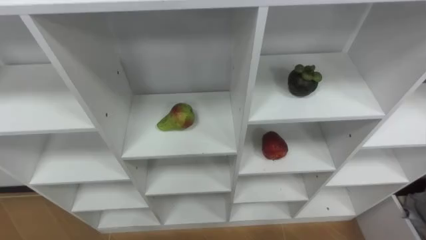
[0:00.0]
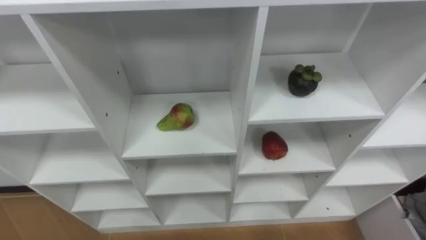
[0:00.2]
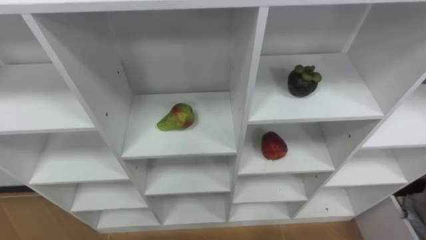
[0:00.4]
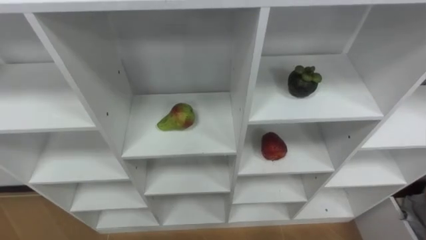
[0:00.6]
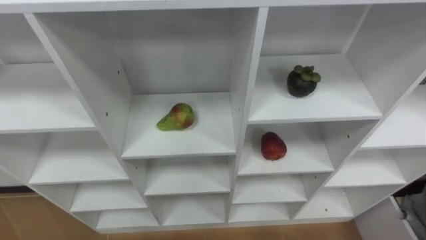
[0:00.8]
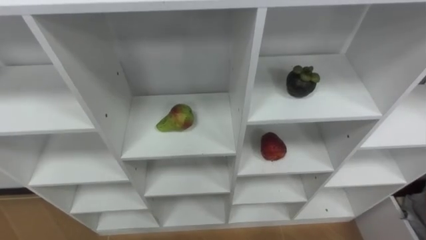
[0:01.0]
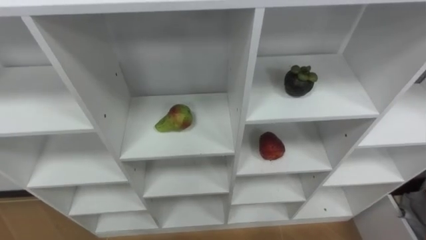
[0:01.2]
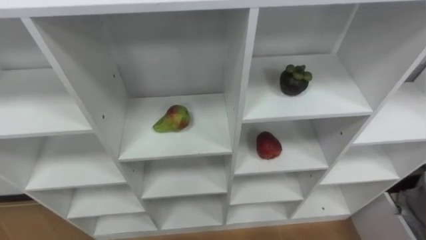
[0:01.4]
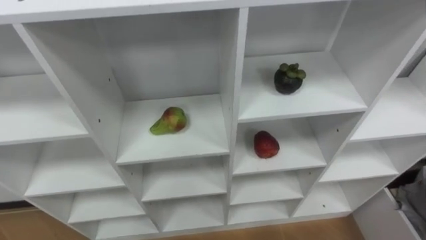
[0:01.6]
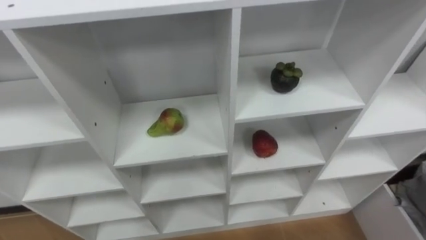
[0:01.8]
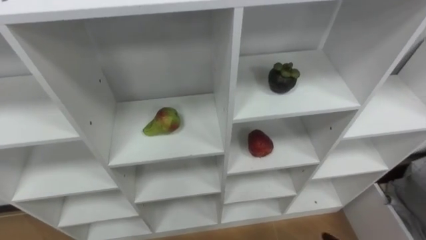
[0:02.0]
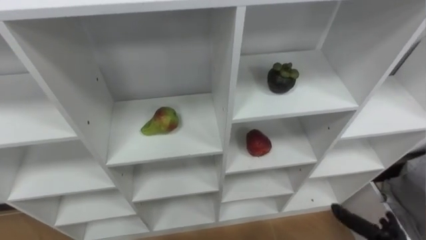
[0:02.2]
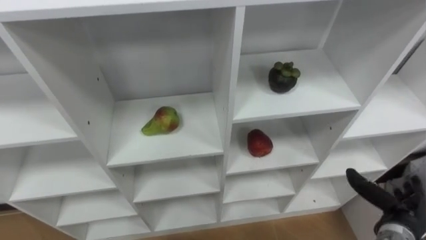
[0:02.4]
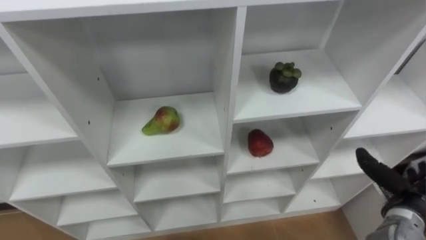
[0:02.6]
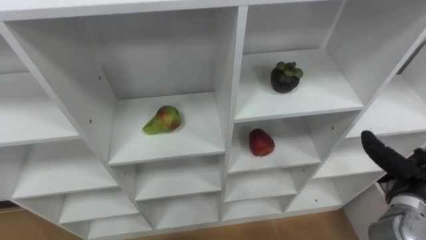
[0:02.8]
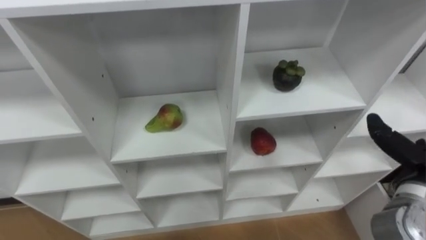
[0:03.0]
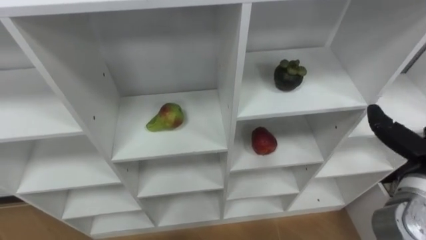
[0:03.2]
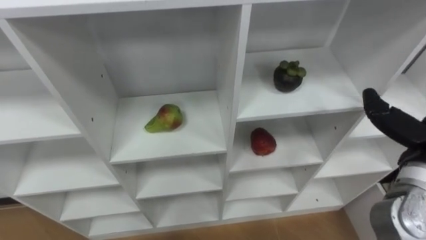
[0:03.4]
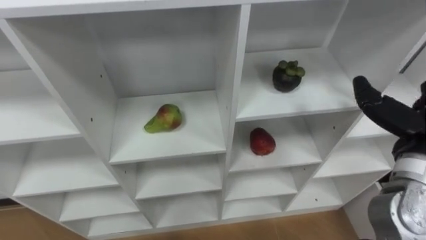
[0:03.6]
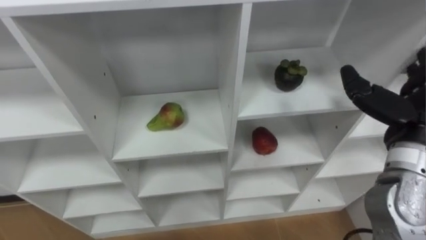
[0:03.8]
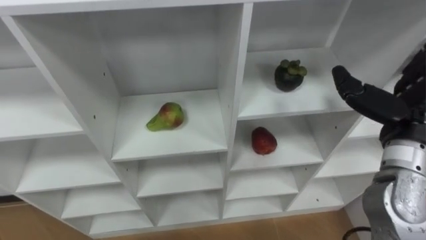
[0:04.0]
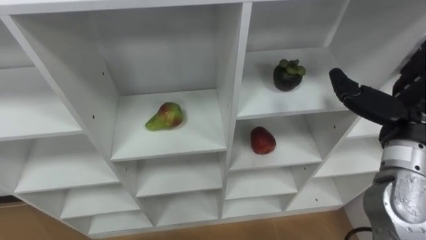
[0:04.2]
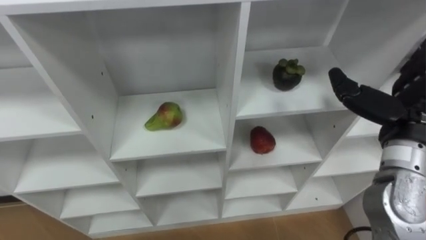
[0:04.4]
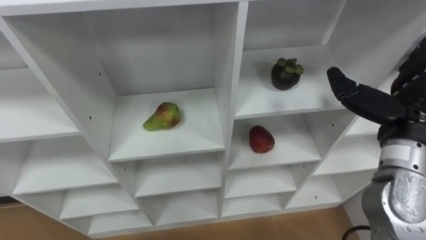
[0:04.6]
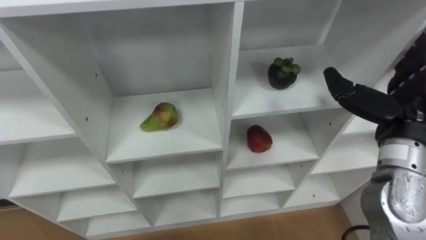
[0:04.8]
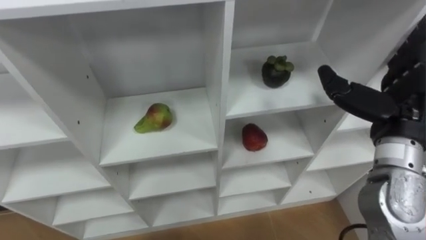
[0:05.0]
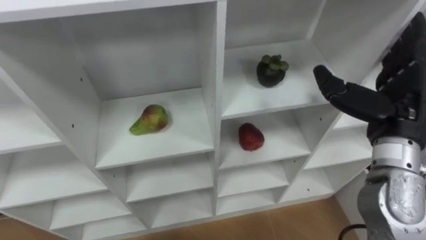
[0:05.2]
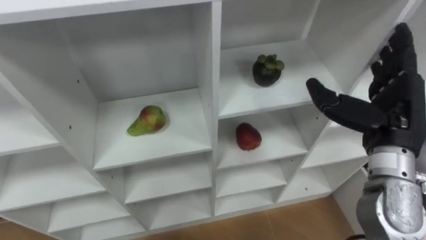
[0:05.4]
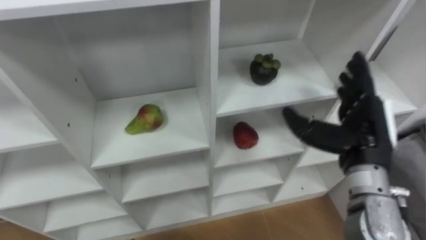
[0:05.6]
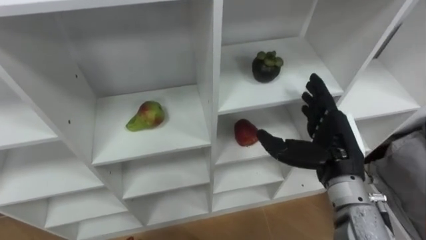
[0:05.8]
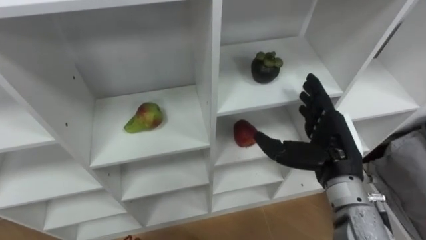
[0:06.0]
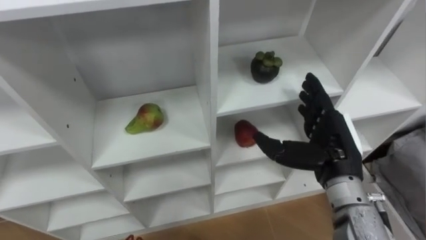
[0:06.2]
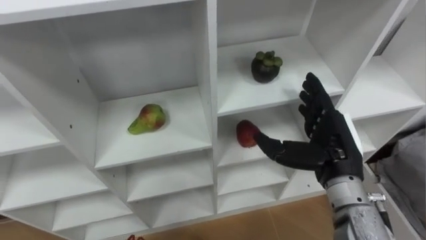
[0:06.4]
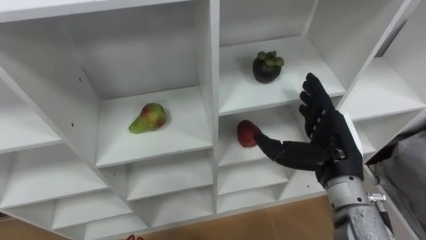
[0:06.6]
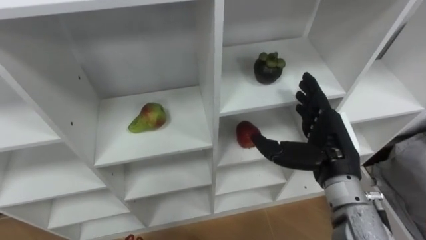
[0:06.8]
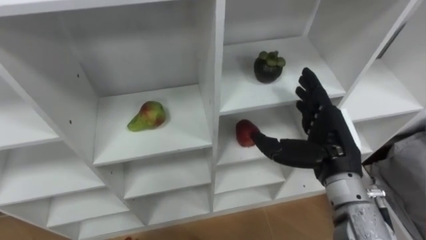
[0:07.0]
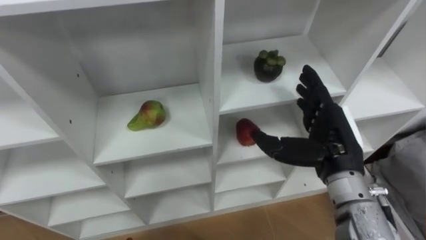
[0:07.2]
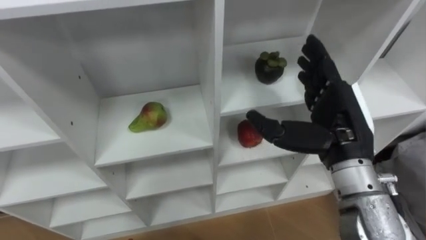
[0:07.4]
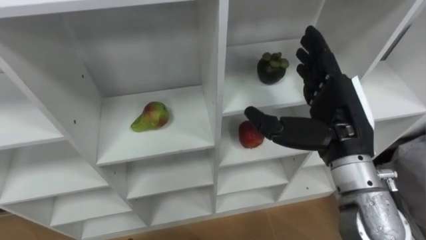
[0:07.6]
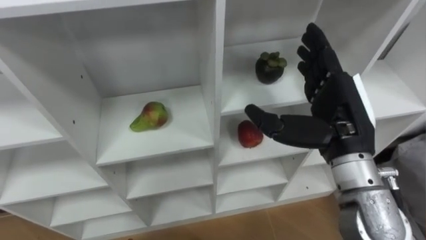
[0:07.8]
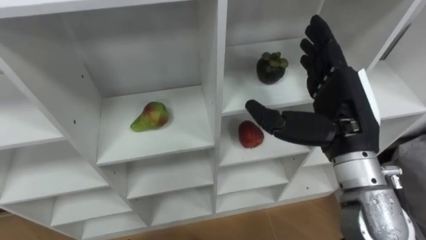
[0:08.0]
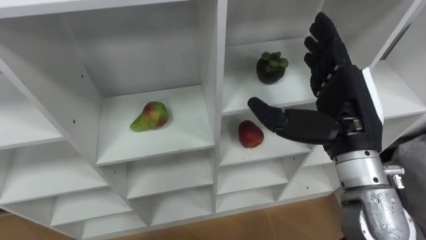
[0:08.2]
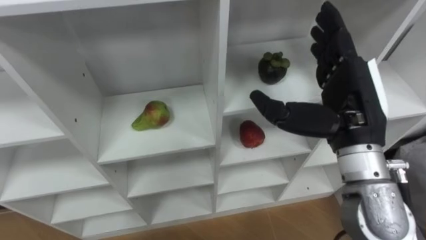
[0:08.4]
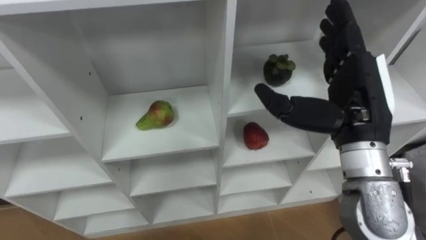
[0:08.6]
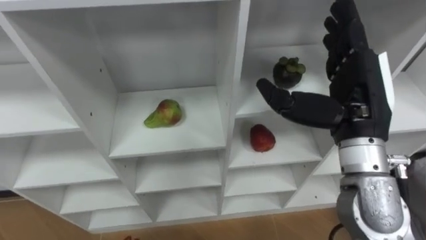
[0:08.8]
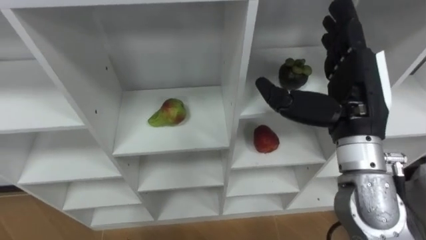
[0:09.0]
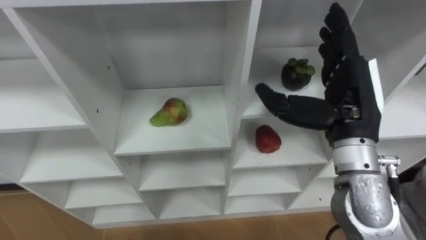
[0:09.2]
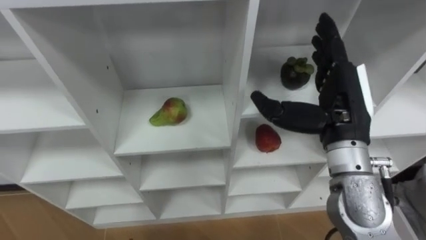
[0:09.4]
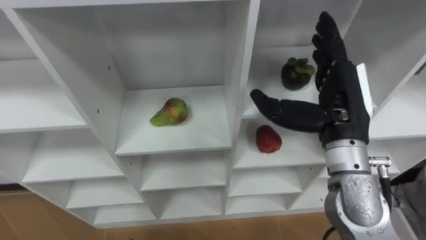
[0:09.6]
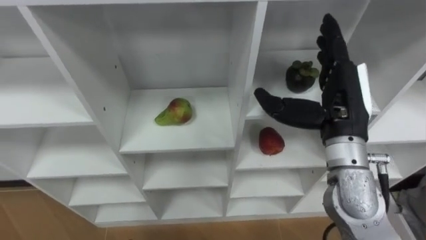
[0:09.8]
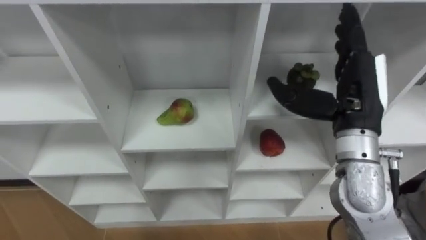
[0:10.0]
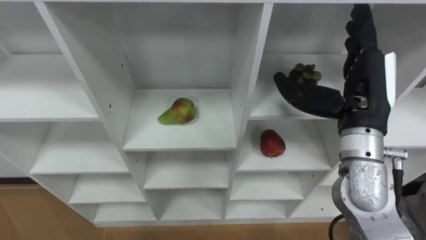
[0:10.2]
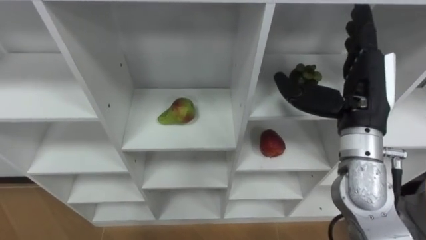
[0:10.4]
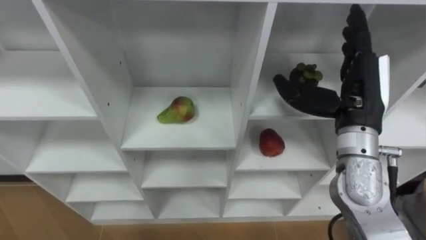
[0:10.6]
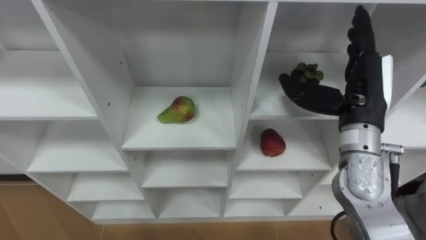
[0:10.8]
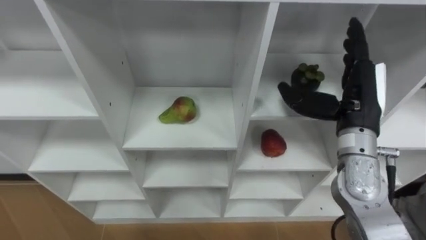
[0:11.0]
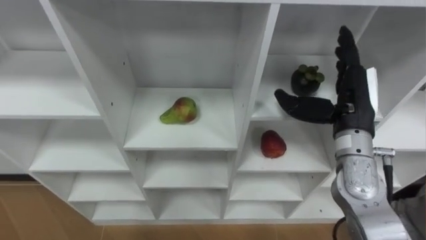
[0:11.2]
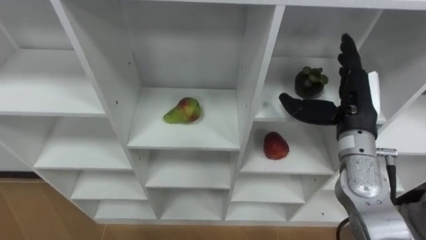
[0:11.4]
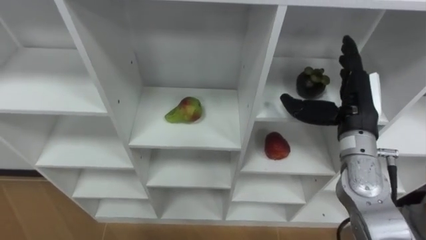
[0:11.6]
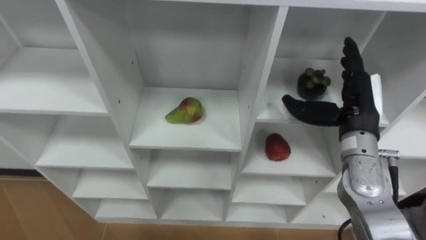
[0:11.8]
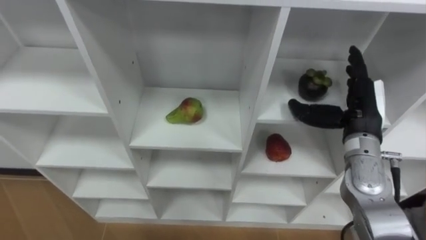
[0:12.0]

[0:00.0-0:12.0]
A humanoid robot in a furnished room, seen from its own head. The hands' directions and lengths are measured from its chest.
Task of the whole recording: Hold the basket and collect the fruits from 3 different cells of the closet into it.
0:04.4 to 0:06.0: The right hand goes roughly 10 cm to the left and downward.
0:06.0 to 0:07.6: The right hand is displaced upward by about 5 cm.
0:10.4 to 0:12.0: The right hand goes some 10 cm downward.

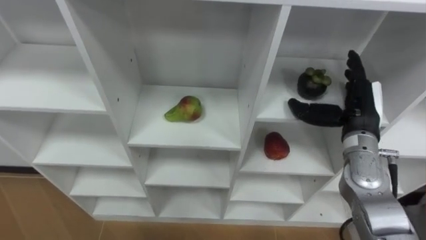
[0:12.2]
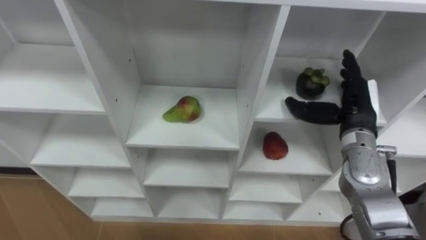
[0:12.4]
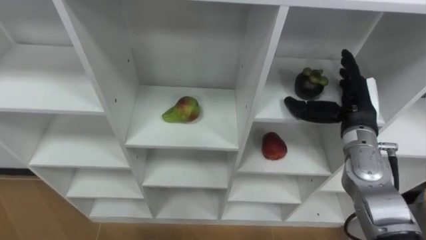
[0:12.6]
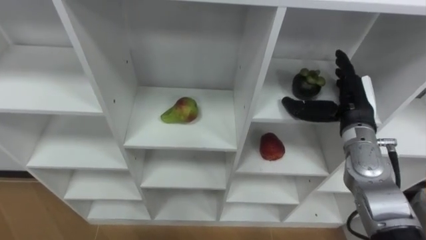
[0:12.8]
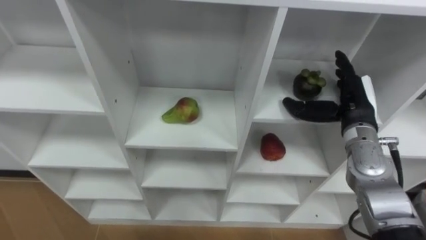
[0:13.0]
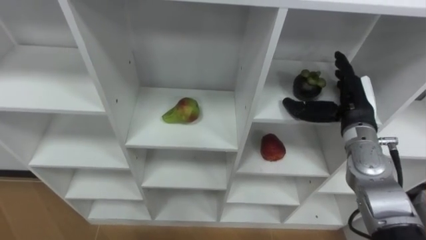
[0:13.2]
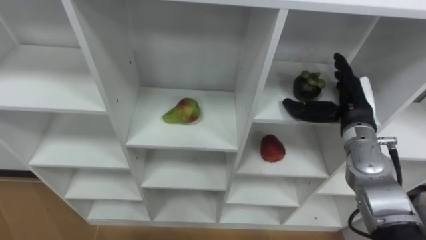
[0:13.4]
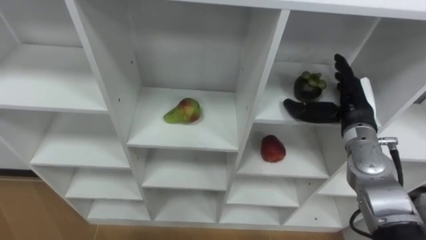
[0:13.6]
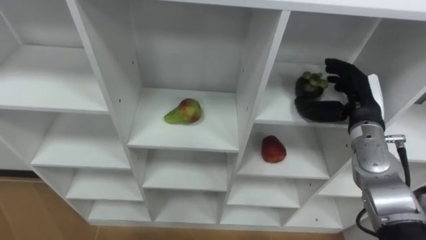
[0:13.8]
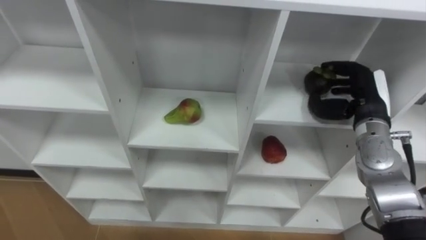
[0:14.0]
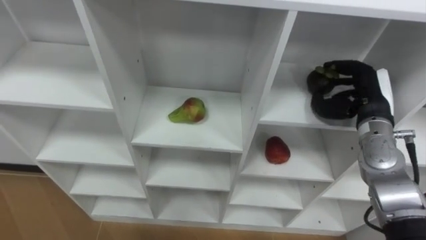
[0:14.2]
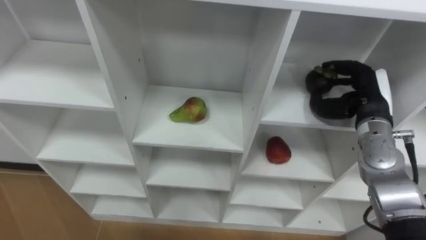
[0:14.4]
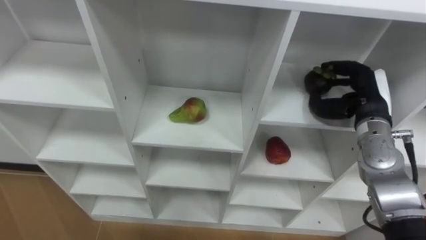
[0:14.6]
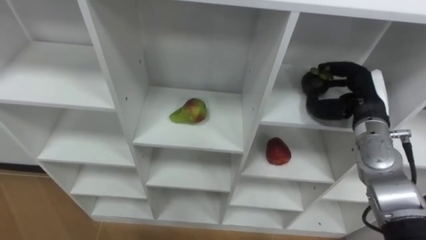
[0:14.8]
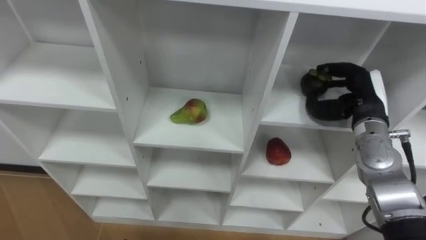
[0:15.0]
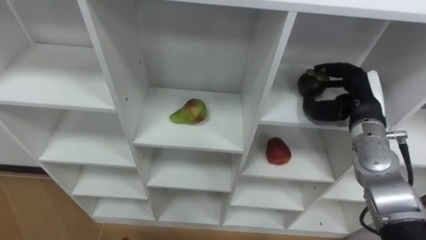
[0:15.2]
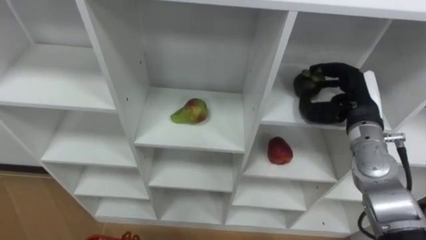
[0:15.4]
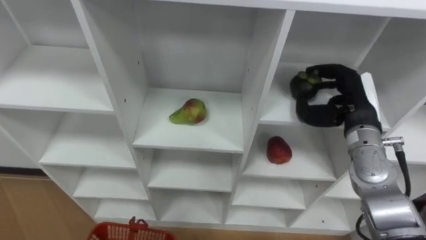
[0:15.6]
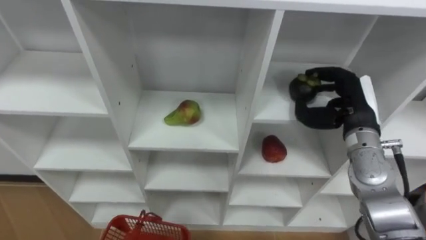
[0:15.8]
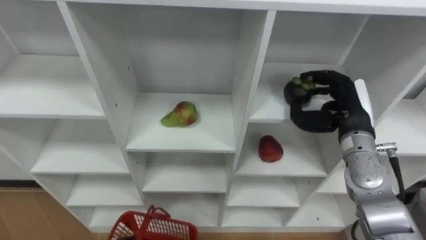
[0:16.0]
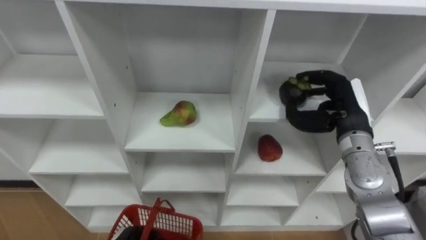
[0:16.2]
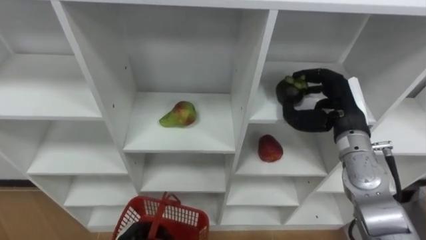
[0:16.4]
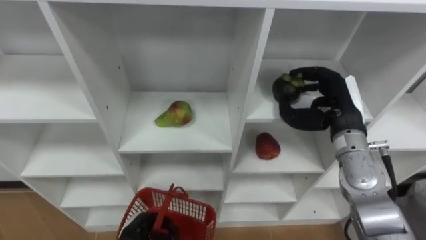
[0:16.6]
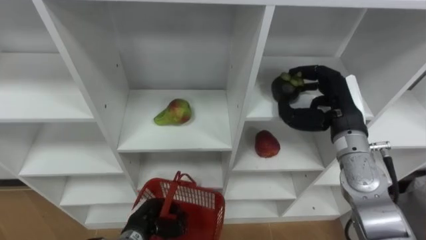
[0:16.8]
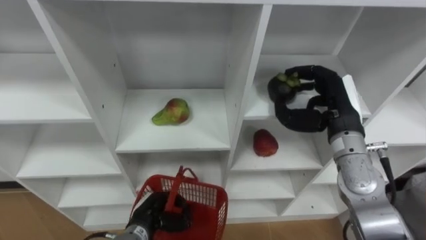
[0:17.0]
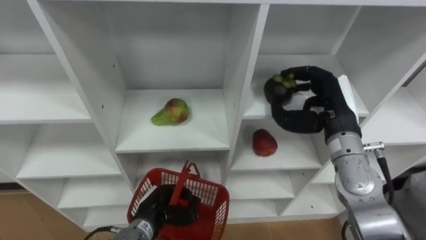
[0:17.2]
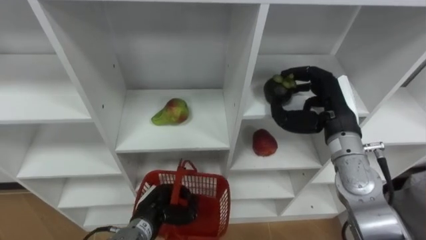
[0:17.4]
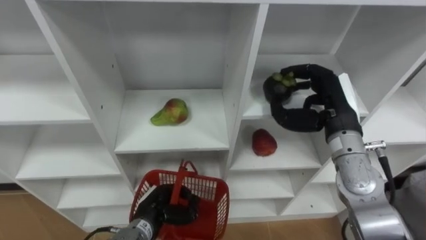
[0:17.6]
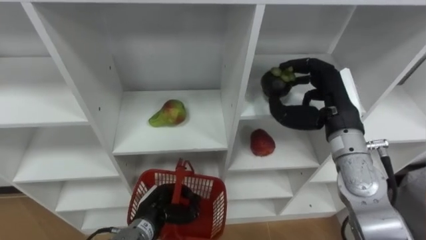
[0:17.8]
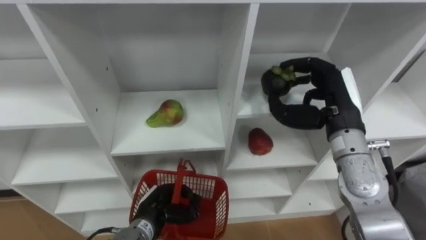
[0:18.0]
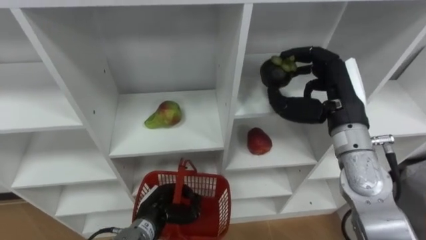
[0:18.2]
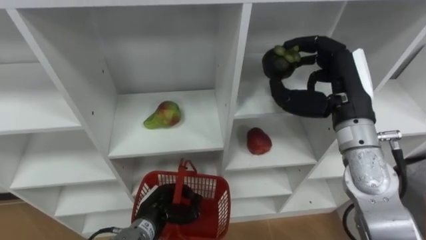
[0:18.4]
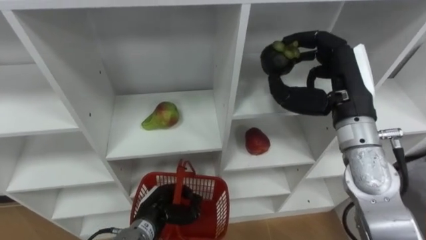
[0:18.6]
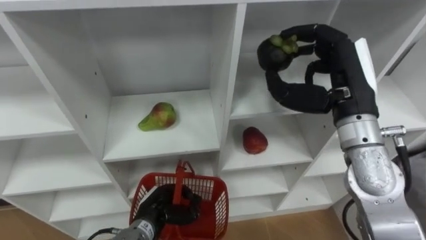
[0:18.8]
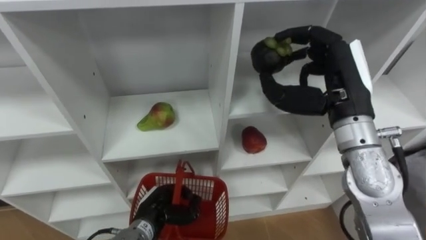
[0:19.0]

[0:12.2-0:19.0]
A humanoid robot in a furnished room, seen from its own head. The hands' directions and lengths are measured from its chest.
Task of the whole recording: Hold the basket and collect the fruits from 3 different cells of the closet into it.
0:13.6 to 0:15.0: The right hand closes up.
0:17.6 to 0:19.0: The right hand goes roughly 10 cm upward.
